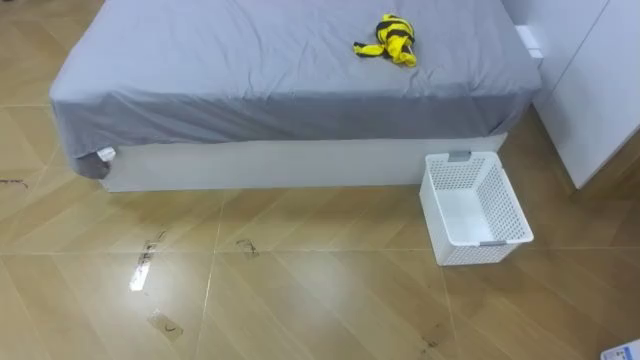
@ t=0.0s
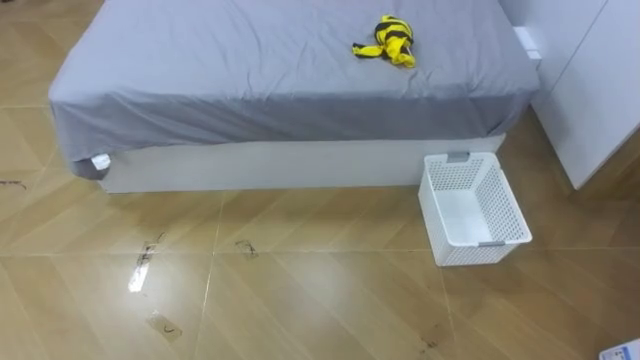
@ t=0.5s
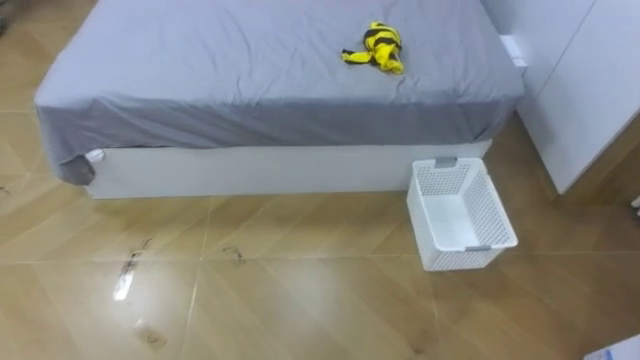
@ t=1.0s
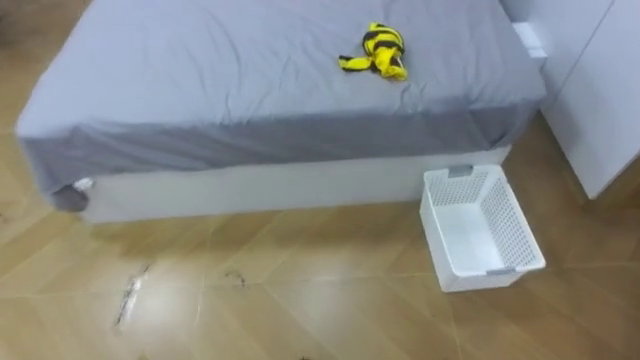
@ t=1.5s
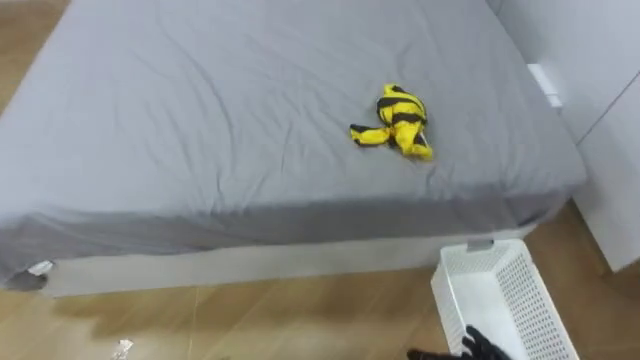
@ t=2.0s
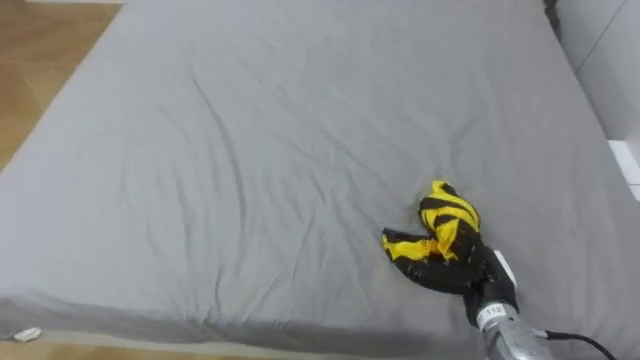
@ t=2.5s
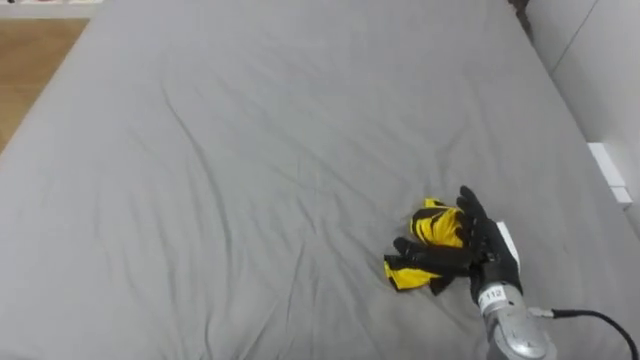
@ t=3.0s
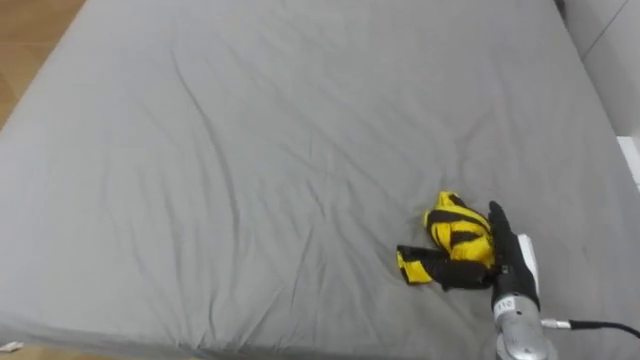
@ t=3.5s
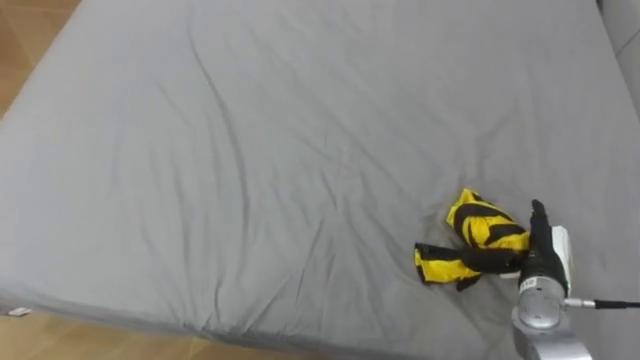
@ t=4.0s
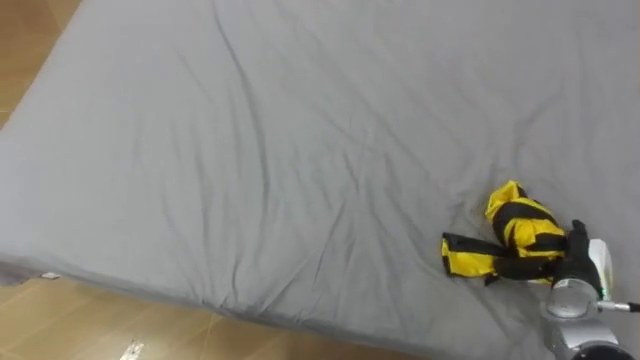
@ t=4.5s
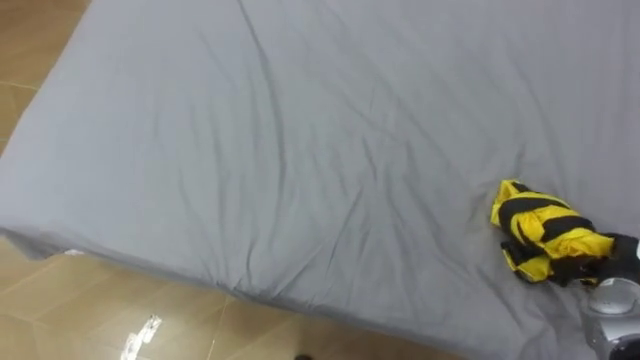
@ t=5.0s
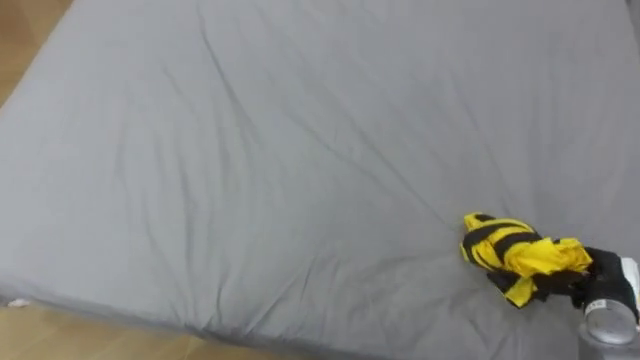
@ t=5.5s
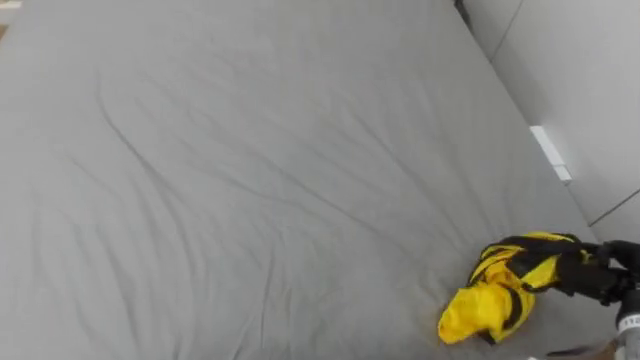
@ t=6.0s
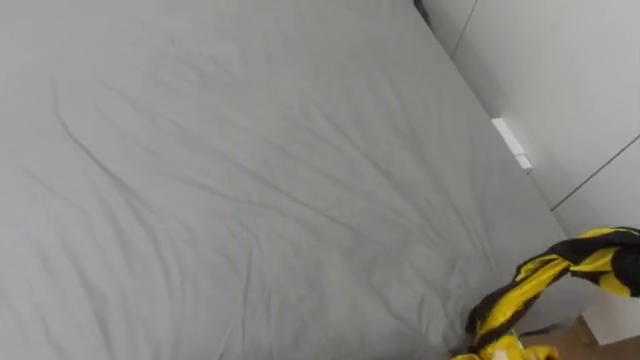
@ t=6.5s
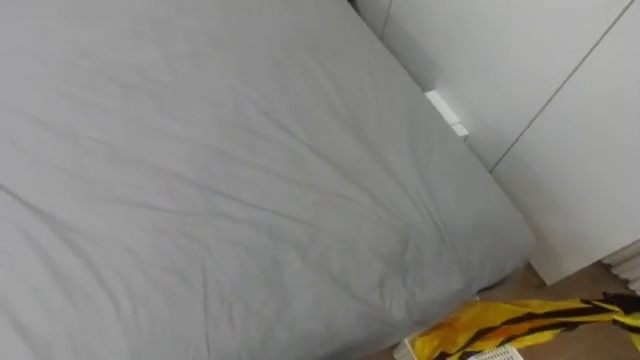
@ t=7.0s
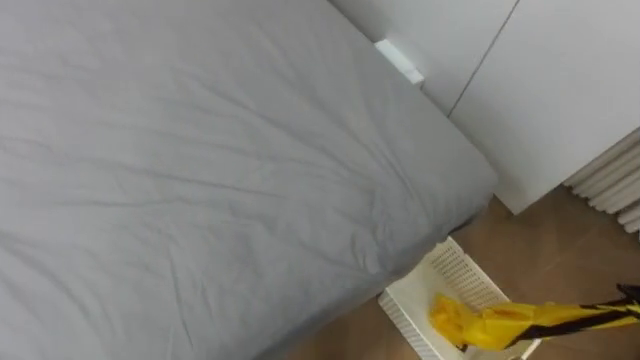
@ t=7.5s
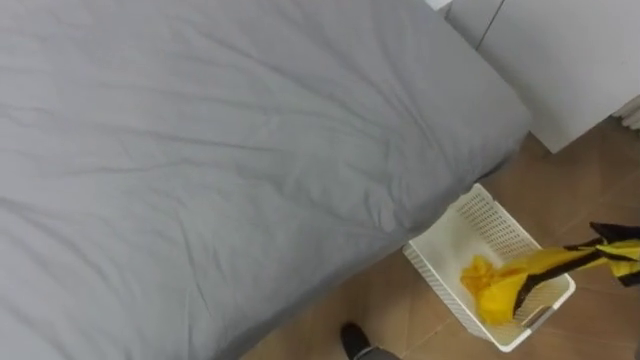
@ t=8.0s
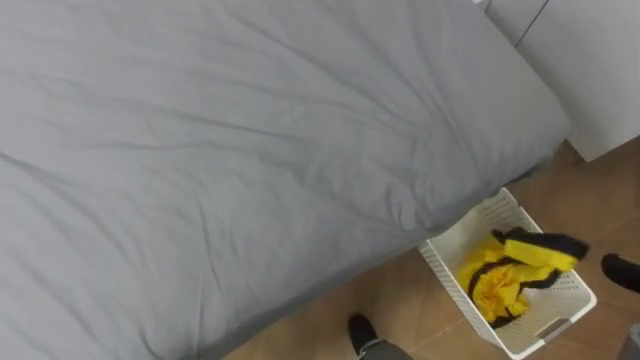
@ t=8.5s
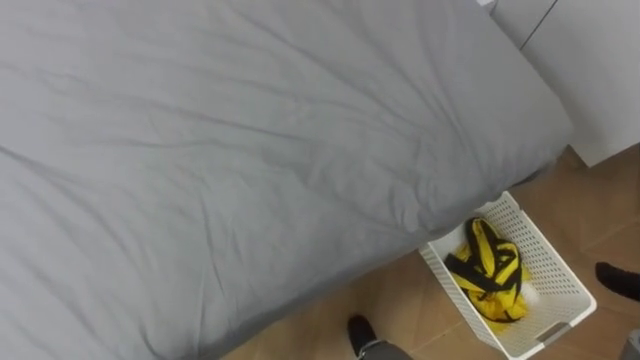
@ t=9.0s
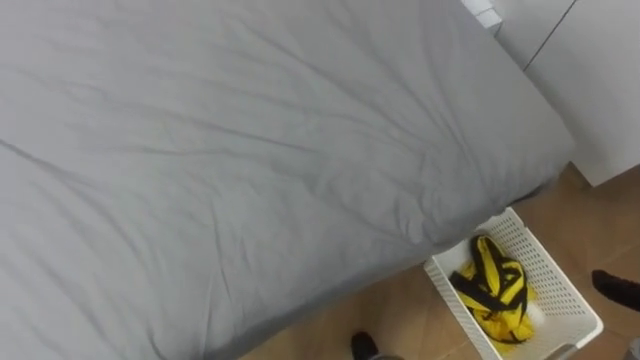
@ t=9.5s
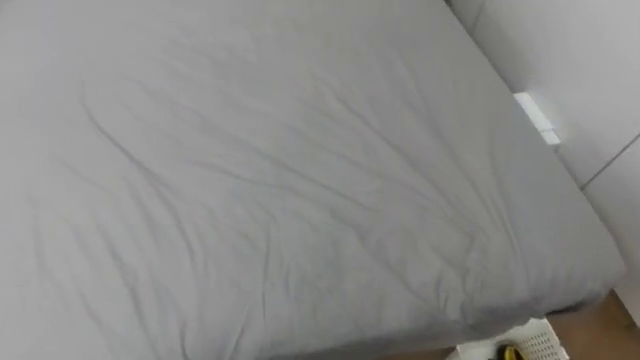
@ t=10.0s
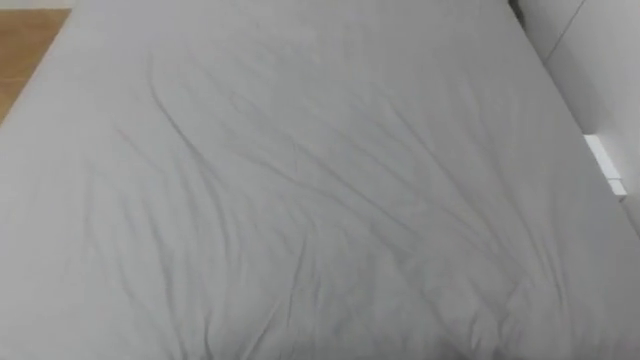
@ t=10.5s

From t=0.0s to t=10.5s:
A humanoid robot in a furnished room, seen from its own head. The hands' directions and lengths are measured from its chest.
Task of the whole recording: Pick up the yellow clothes on the bed and place them into the white basket on the right.
From t=8.5s to t=10.5s: The robot faces about 20 degrees further to its left.

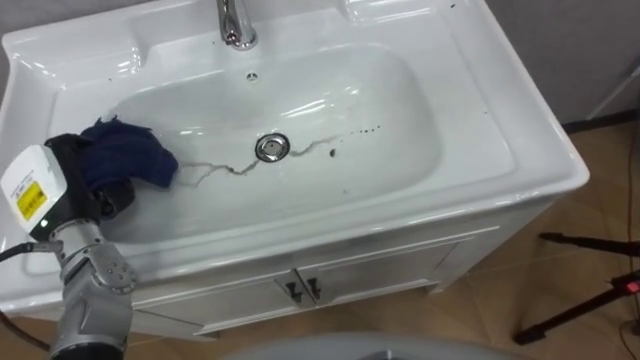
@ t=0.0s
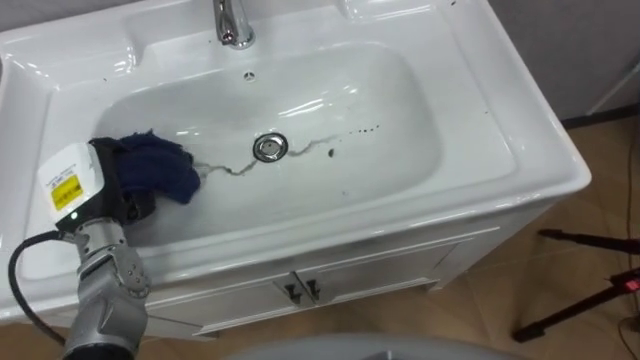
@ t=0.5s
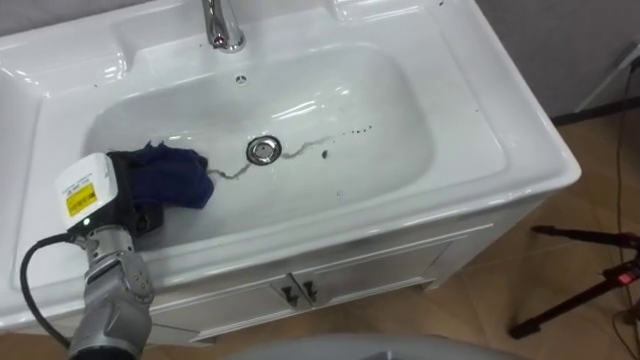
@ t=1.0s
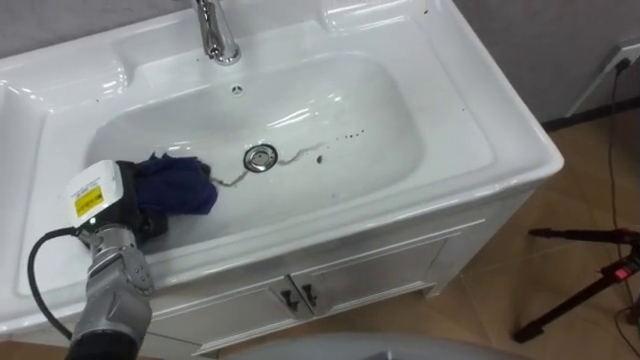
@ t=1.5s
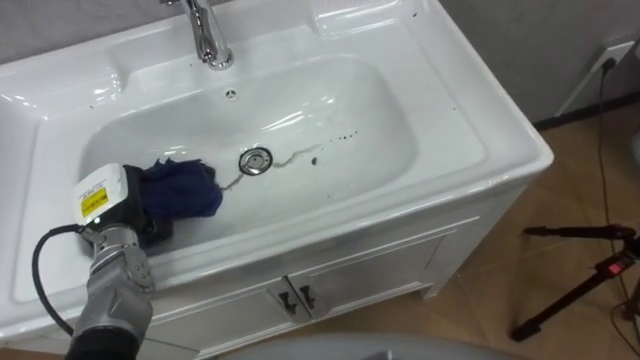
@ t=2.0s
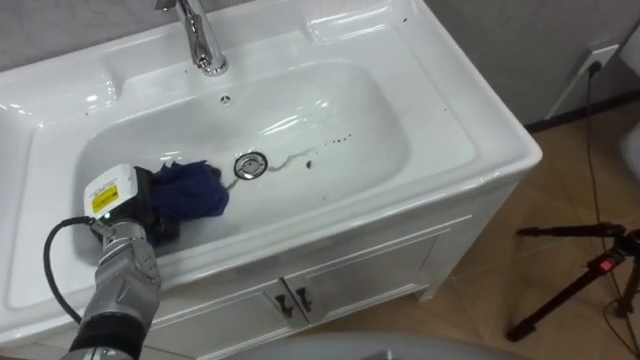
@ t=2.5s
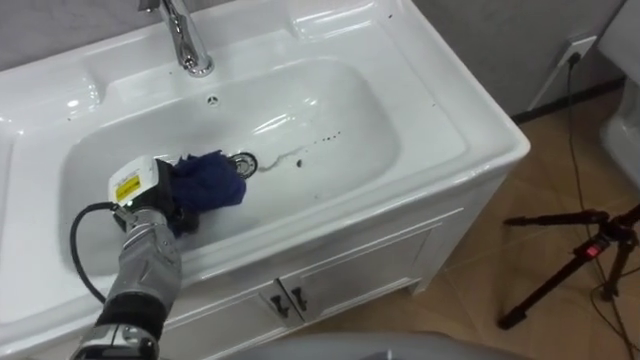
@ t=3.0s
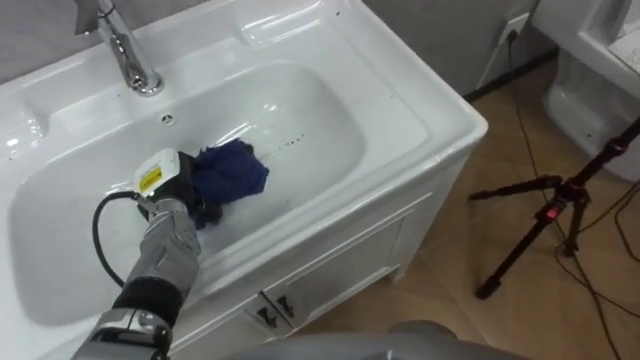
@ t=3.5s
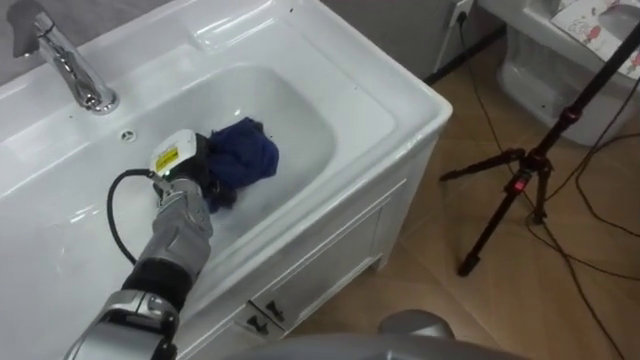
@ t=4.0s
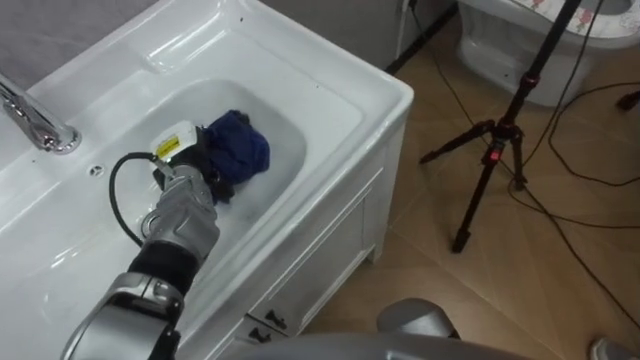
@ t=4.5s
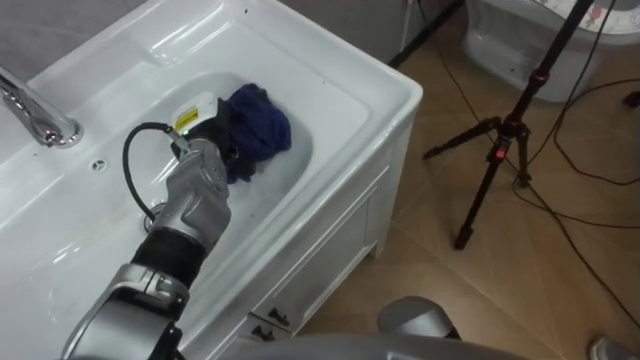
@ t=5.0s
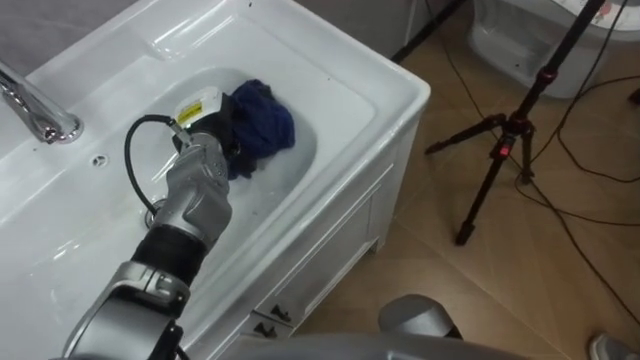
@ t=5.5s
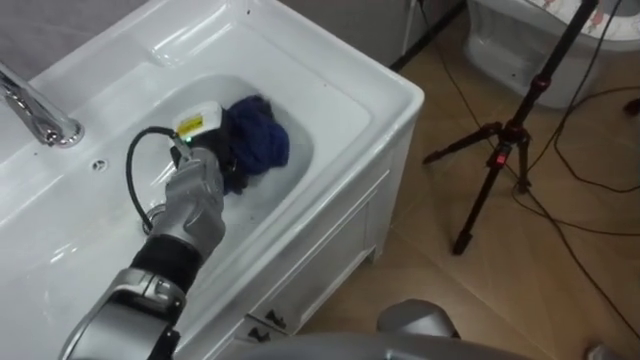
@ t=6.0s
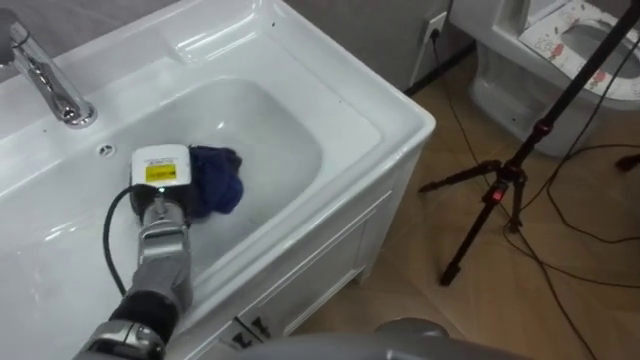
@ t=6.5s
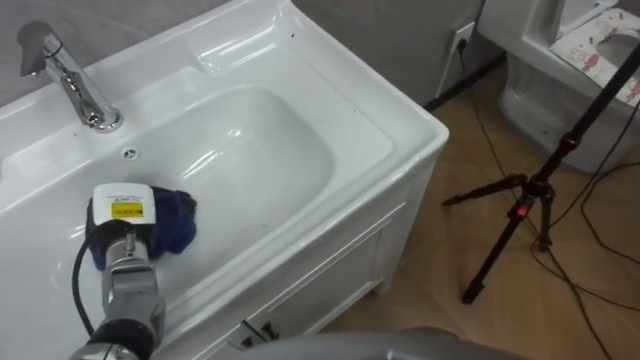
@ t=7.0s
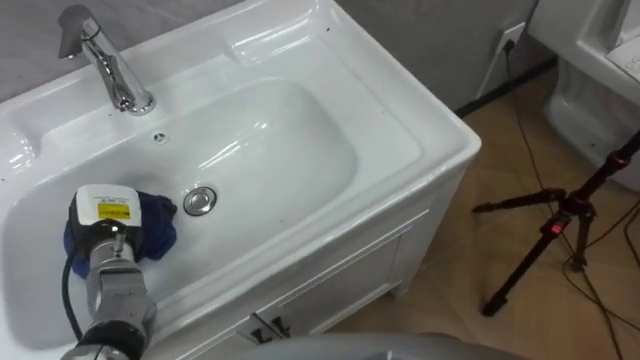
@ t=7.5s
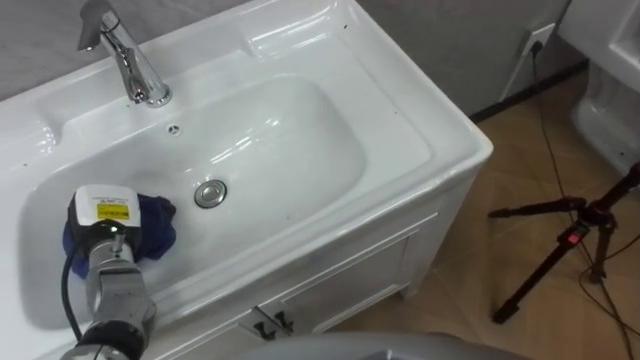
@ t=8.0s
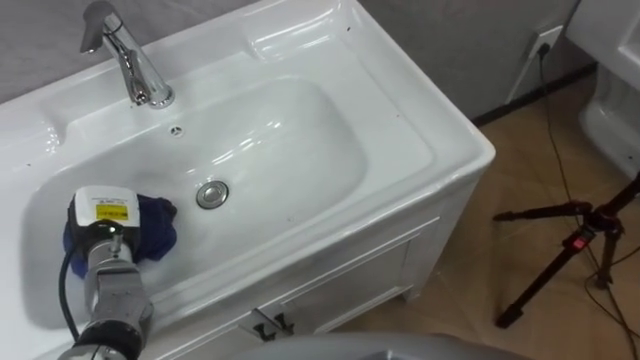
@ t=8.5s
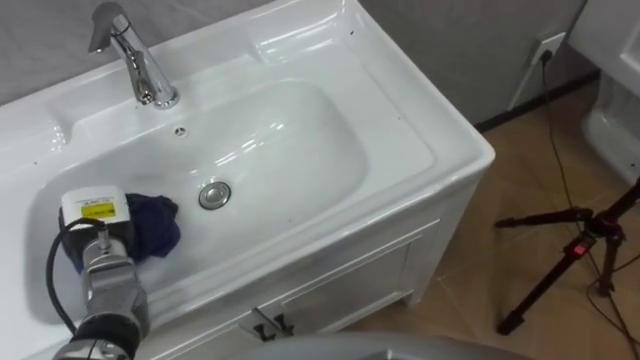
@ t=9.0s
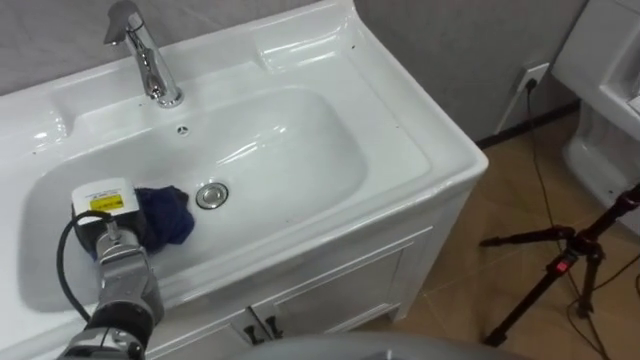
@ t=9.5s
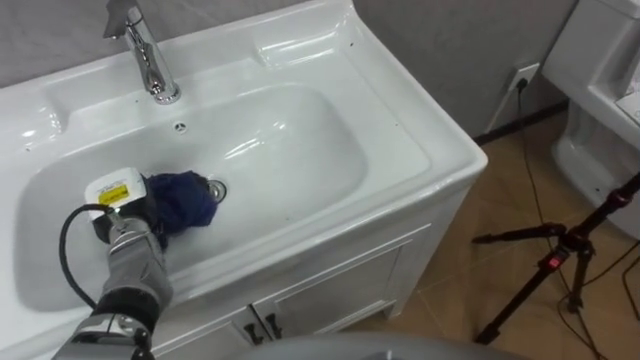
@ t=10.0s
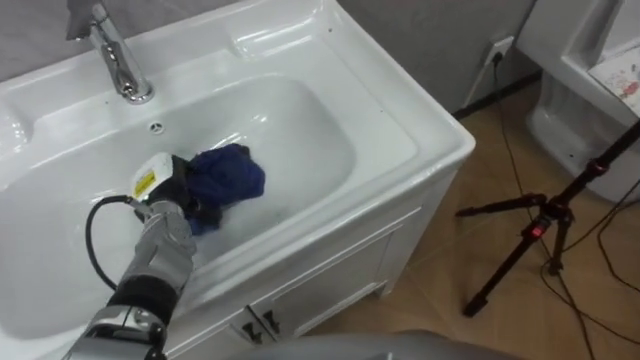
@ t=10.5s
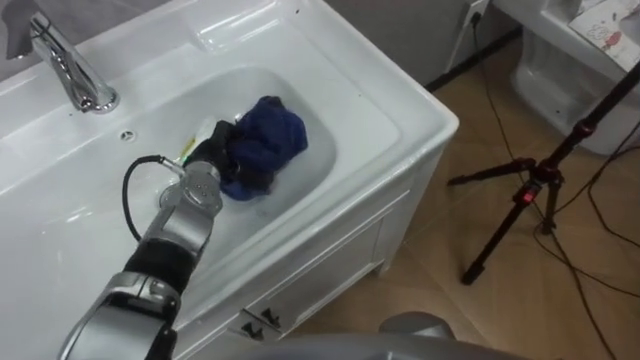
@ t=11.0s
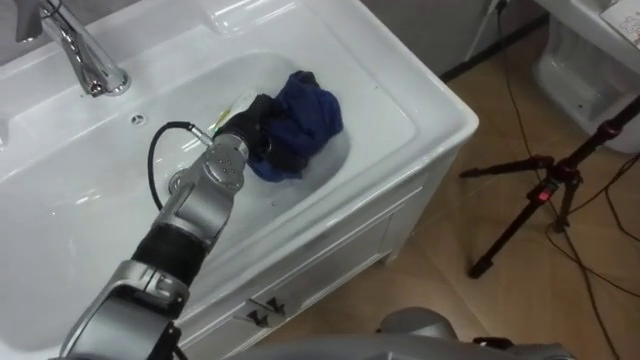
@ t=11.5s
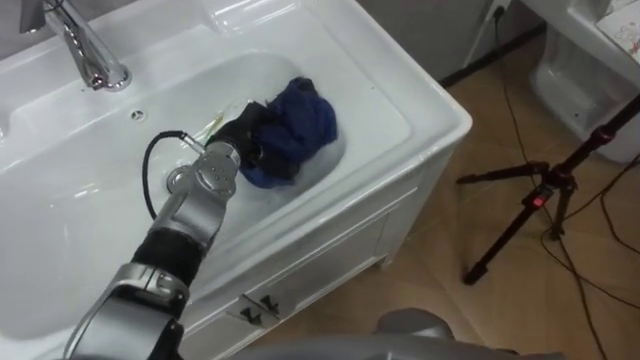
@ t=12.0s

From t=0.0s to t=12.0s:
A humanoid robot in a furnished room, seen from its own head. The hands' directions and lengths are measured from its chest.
Task of the whole recording: Use the cloth on the right to wipe away the black stain in the sink.
From t=0.0s to t=2.0s: The left hand travels downward by roughly 5 cm.
From t=2.0s to t=4.0s: The left hand goes some 10 cm to the right and forward.
From t=6.0s to t=8.0s: The left hand heads to the left and backward, covering roughly 20 cm.
From t=10.0s to t=12.0s: The left hand travels to the right and forward by some 20 cm.
